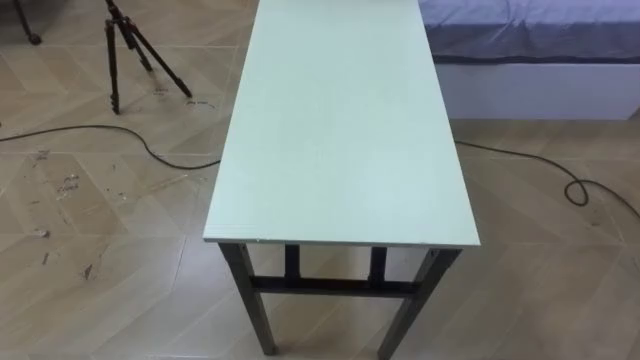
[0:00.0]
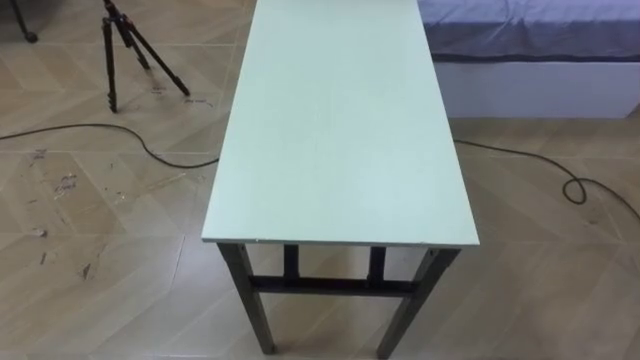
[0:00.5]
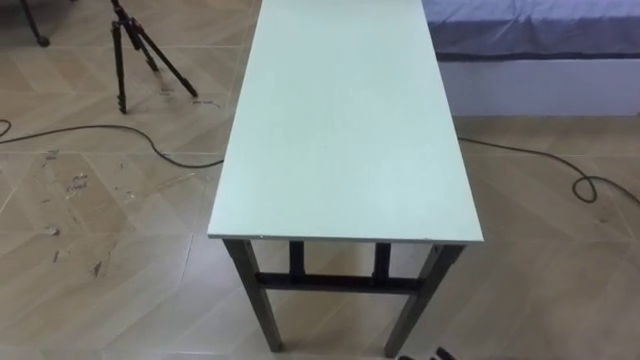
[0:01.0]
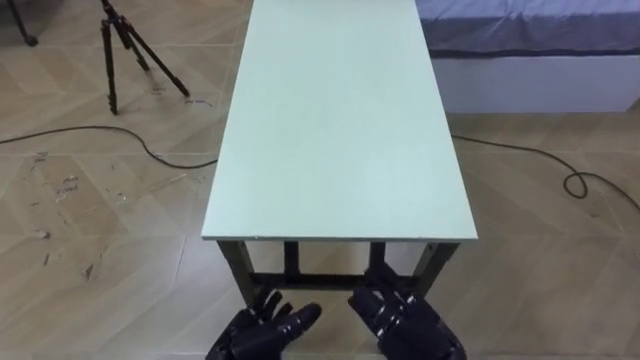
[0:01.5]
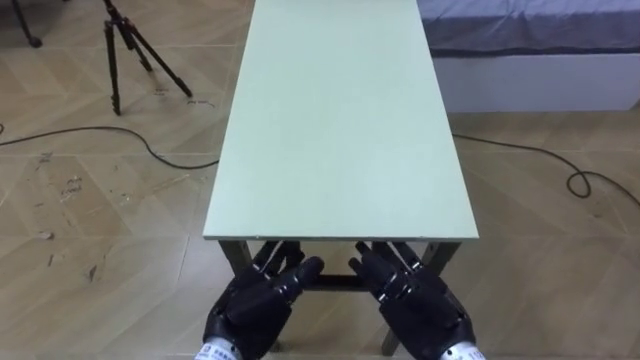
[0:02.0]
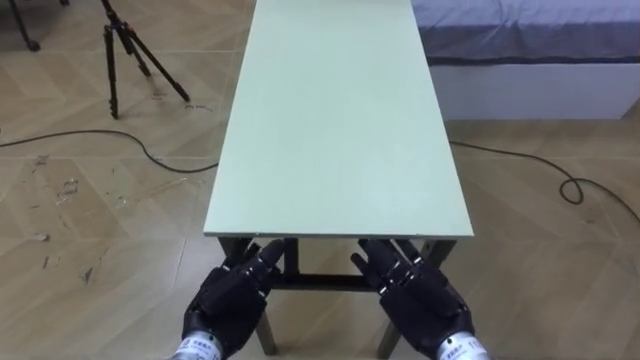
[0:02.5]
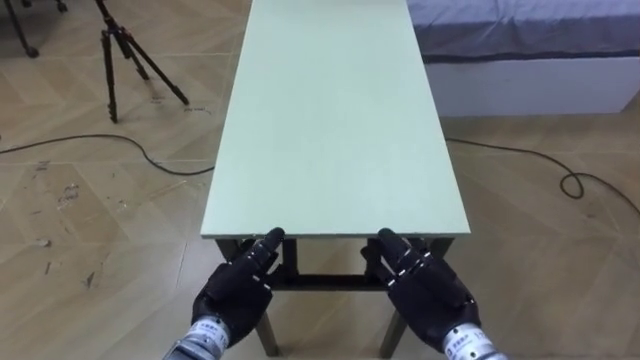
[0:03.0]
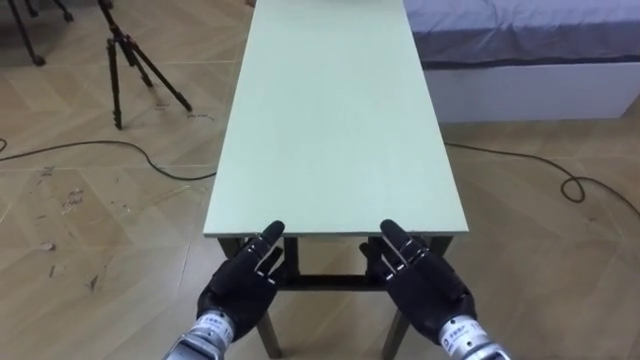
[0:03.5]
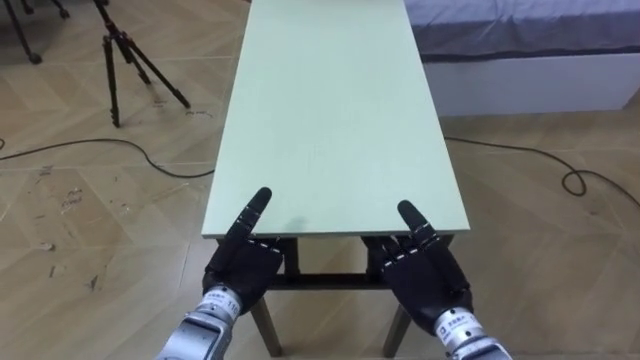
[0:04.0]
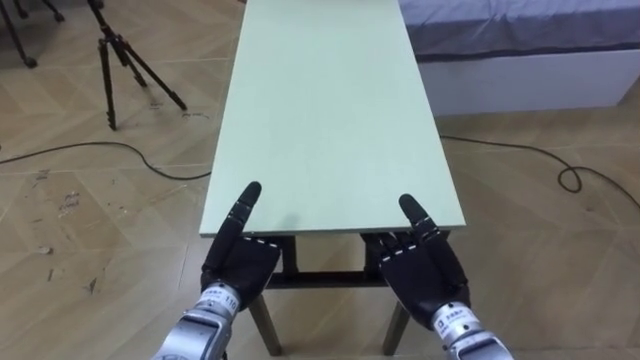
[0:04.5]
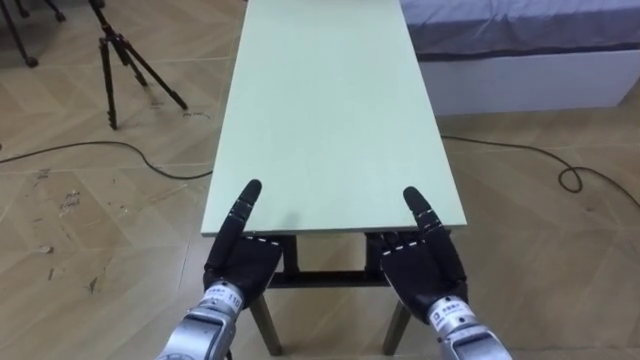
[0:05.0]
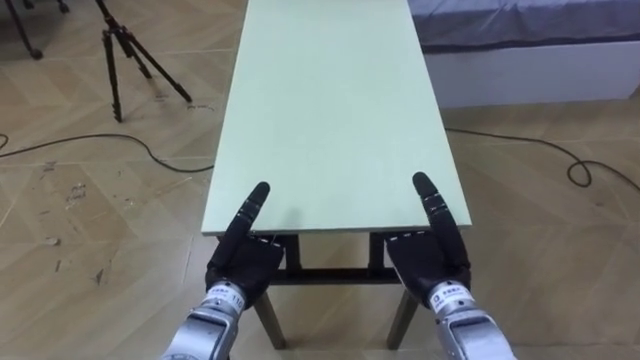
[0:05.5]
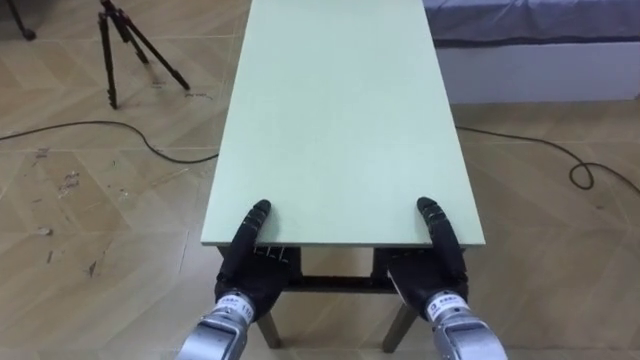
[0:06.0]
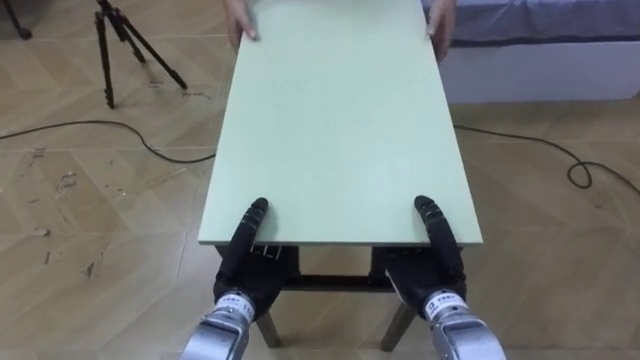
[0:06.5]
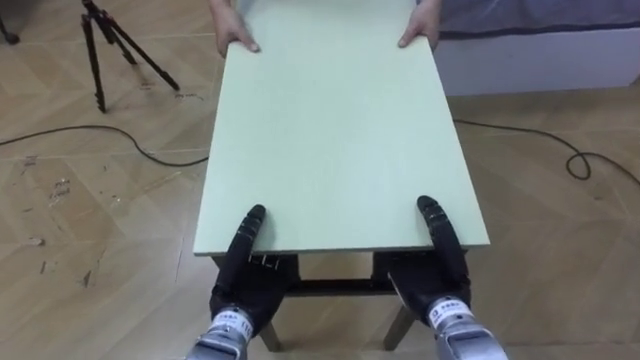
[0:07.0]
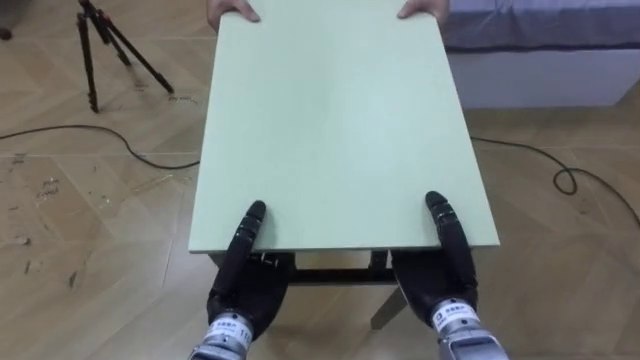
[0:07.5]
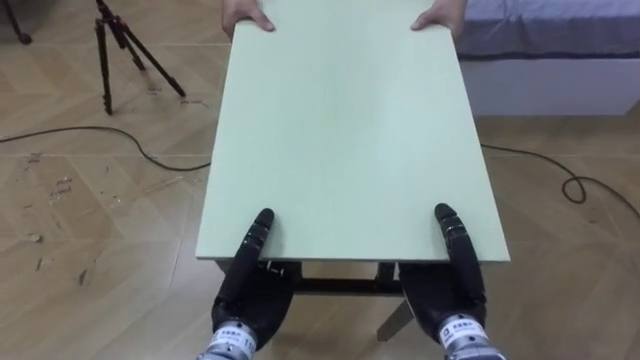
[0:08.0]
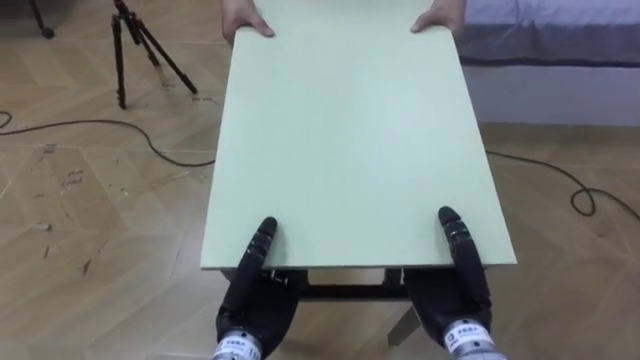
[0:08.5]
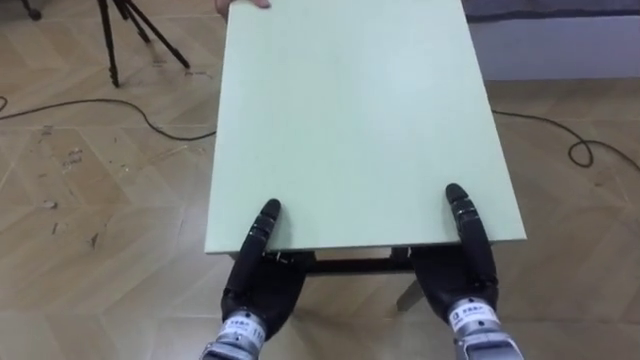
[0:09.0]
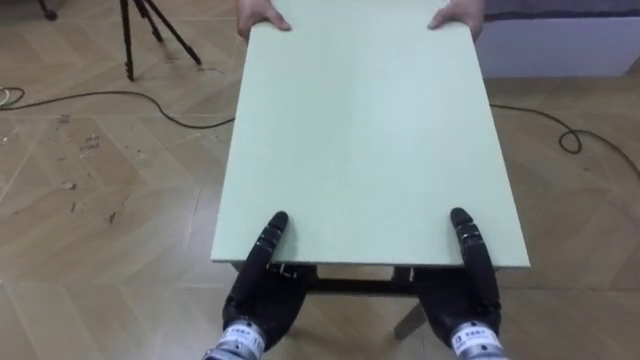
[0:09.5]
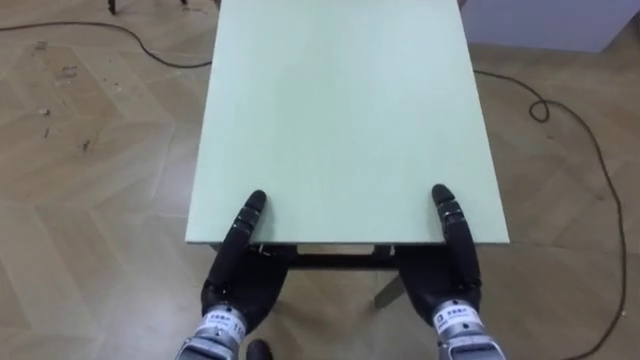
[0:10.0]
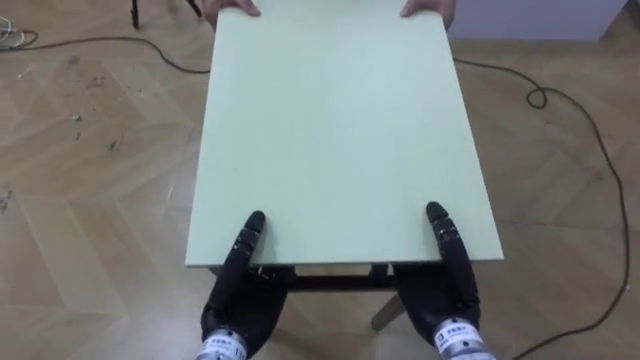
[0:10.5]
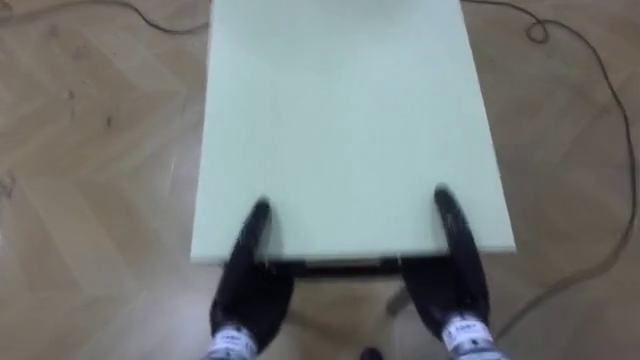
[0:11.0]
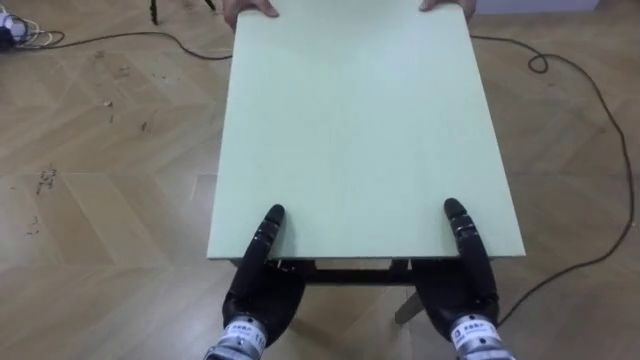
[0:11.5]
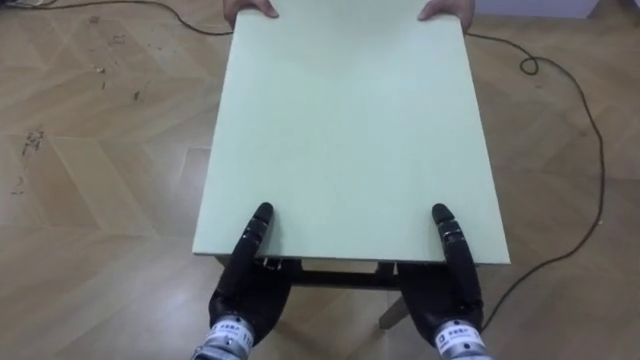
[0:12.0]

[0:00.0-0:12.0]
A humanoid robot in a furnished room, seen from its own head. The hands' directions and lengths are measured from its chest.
Task of the whole recording: Move the table to the back left with someone.
2.0 to 4.0 s: The left hand is displaced forward by roughly 5 cm.
4.0 to 6.0 s: The right hand closes. Meanwhile the left hand closes up.

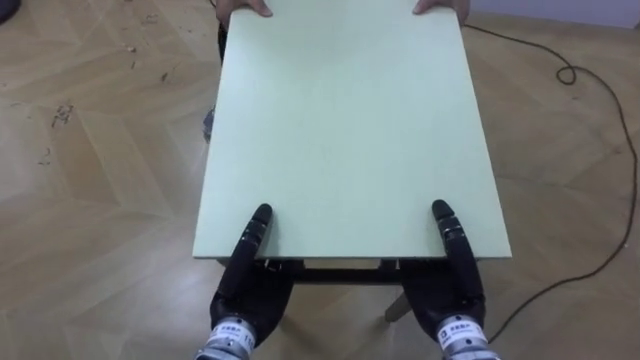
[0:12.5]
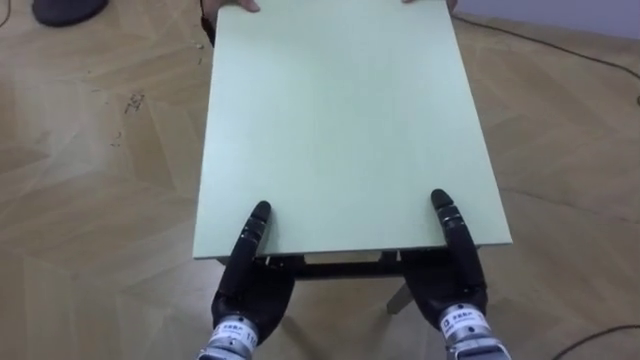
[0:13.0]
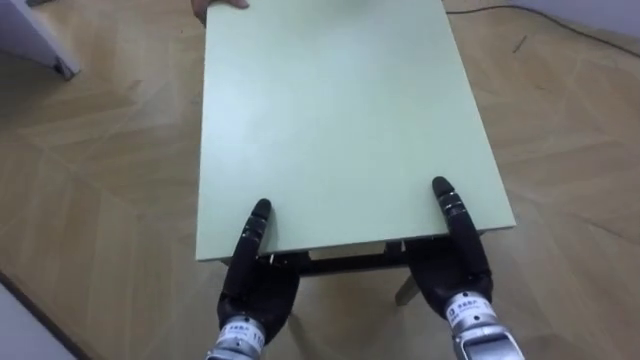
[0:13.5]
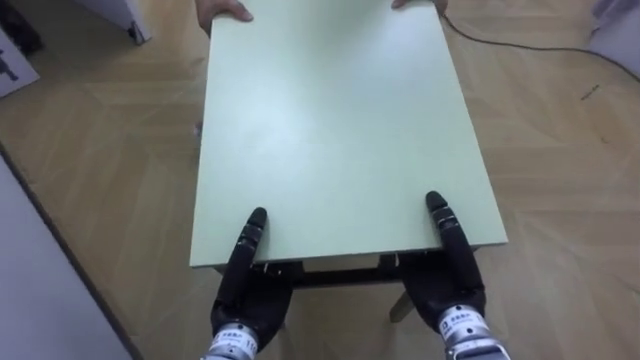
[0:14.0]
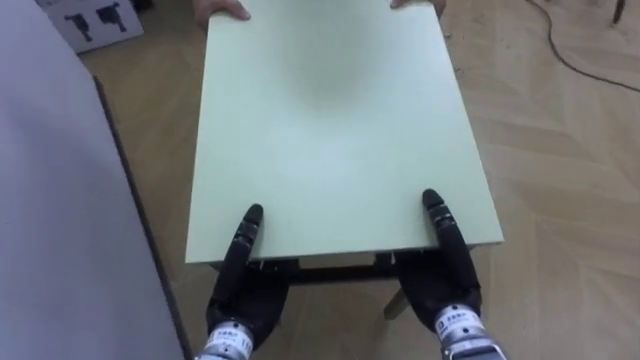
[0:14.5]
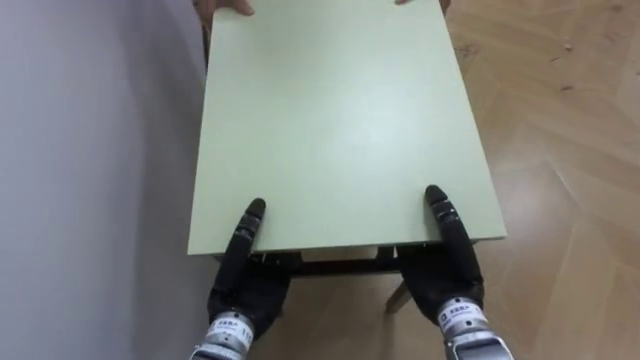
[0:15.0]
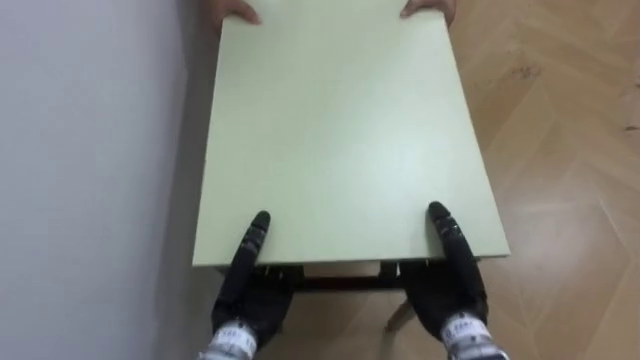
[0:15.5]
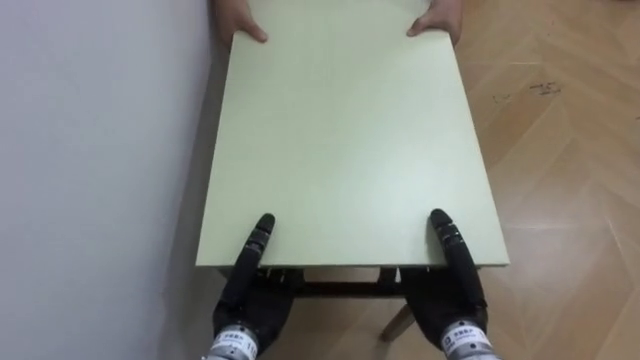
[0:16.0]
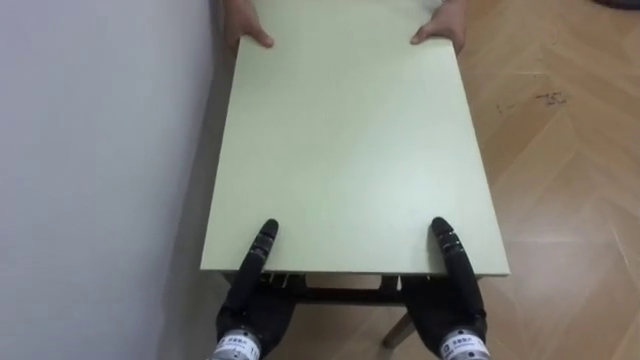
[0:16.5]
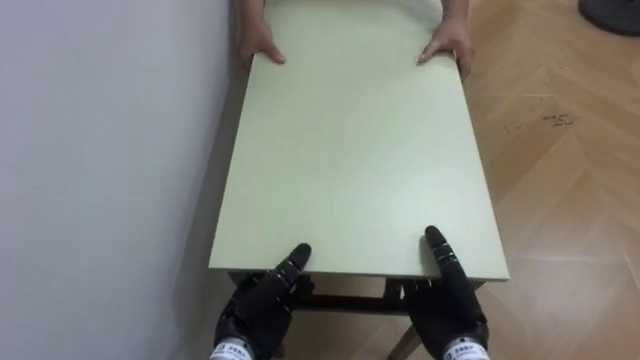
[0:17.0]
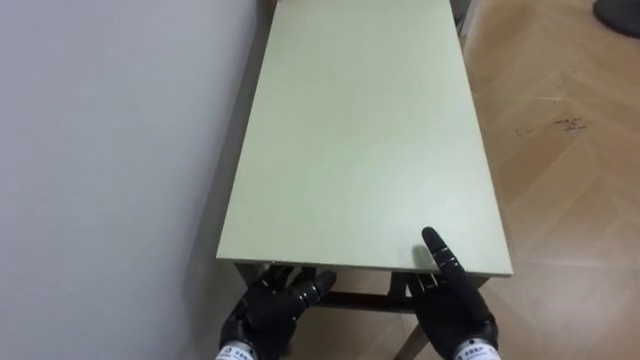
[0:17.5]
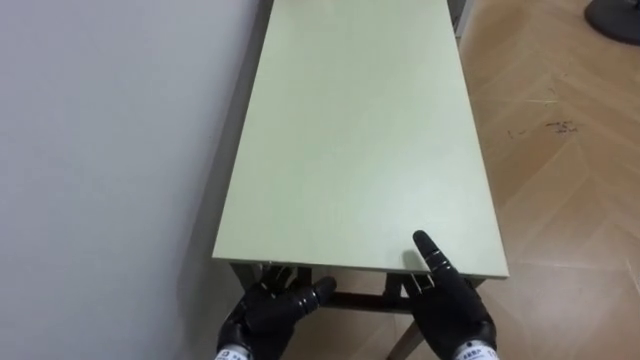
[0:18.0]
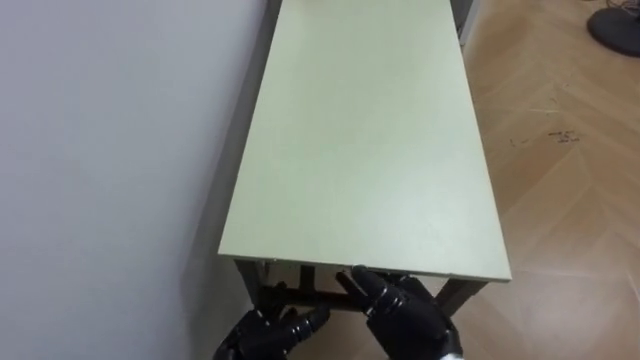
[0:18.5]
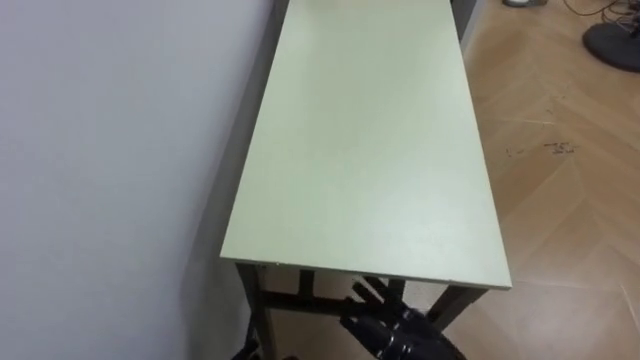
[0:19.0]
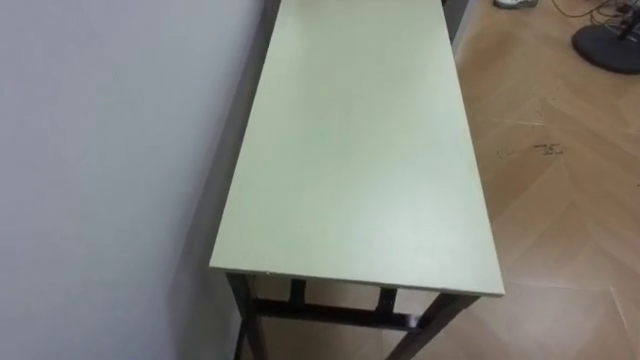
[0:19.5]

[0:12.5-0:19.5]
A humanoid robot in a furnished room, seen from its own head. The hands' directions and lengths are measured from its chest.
Task of the whole recording: Move the table to the back left with someone.
12.5 to 14.5 s: The robot turns to its left by some 45 degrees.
14.5 to 16.0 s: The robot rotates some 40 degrees to its left.
16.0 to 17.5 s: The left hand opens its fingers, while the right hand opens up.

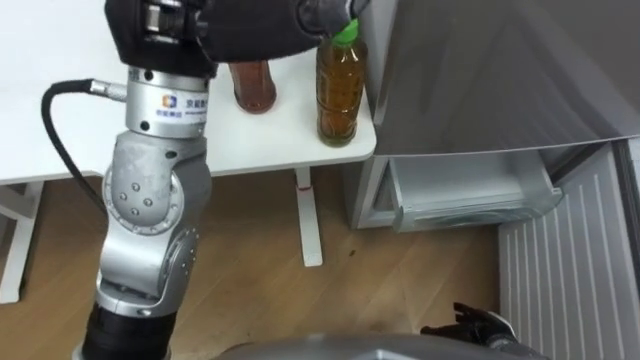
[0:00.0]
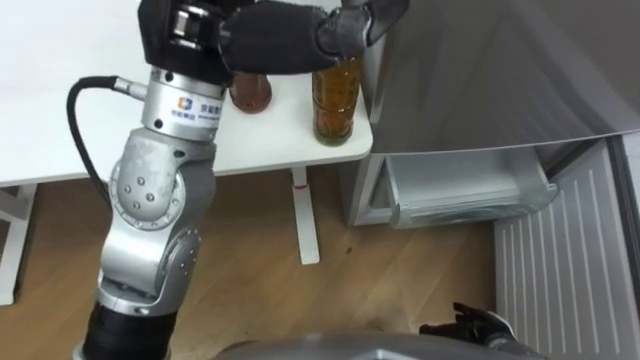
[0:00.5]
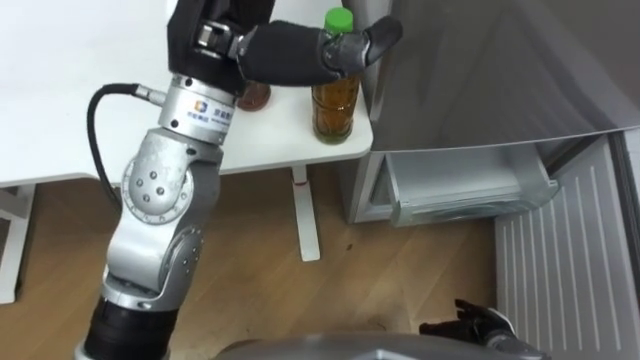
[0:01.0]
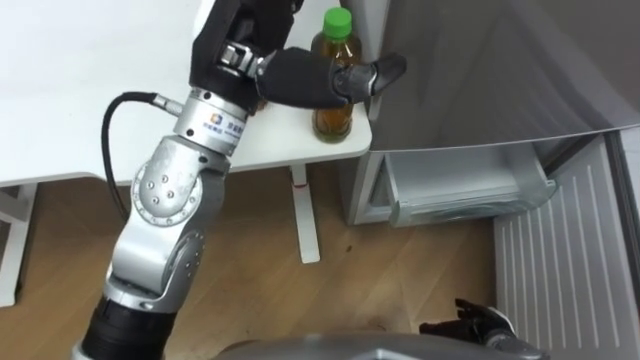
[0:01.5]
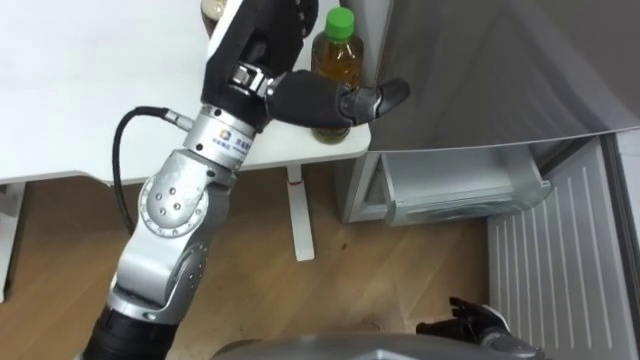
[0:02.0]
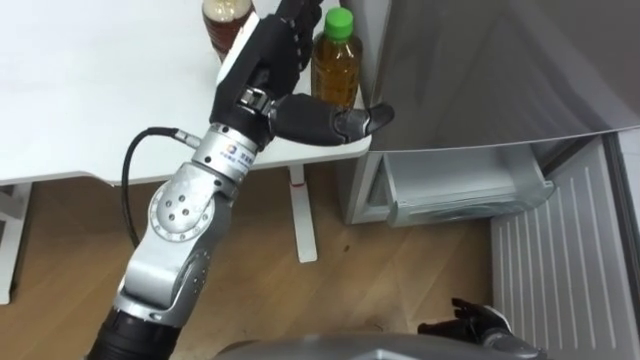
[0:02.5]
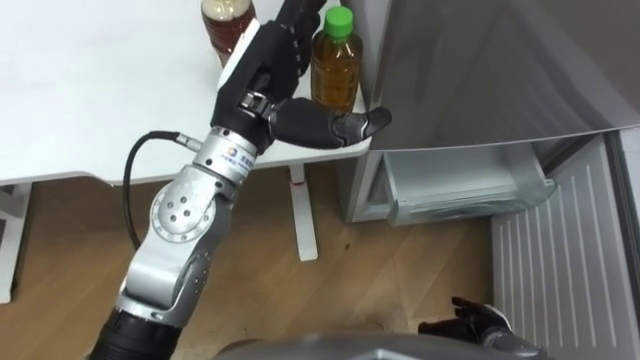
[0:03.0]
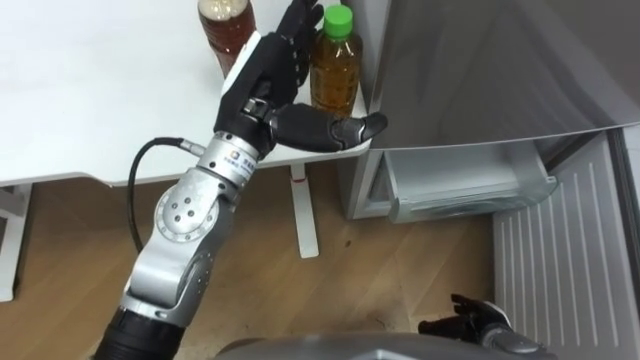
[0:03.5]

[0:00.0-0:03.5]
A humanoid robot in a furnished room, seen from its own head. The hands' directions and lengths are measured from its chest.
Task of the whole recording: Place the drink on the table on the bottom shelf of the refrigerator, then close the drawer and the refrigerator door.
0.0 to 2.0 s: The left hand heads downward, covering some 10 cm.
2.0 to 3.5 s: The left hand moves downward, some 5 cm.
